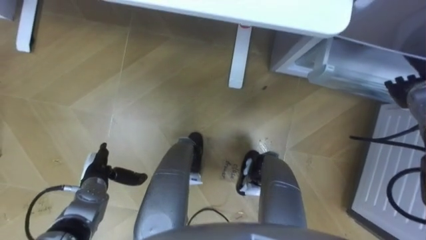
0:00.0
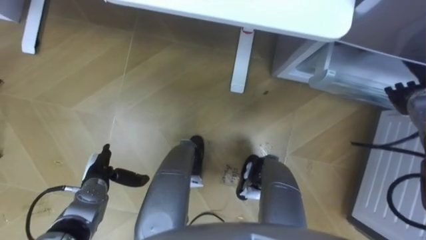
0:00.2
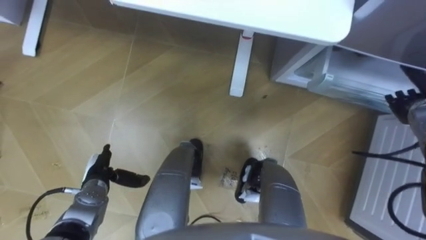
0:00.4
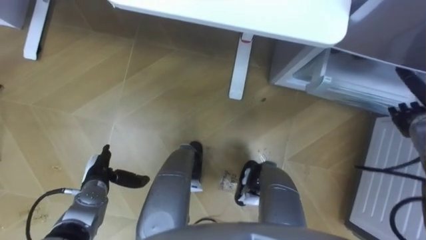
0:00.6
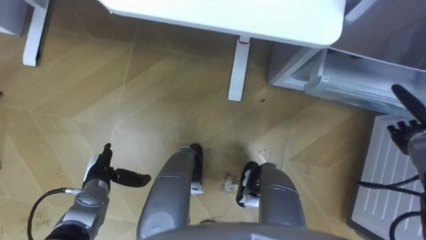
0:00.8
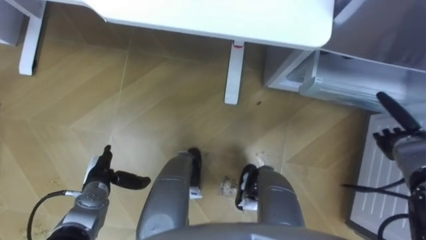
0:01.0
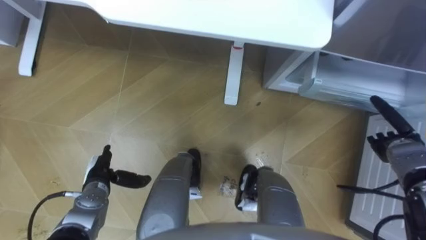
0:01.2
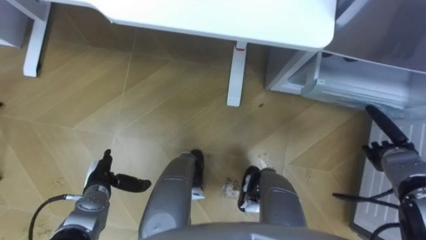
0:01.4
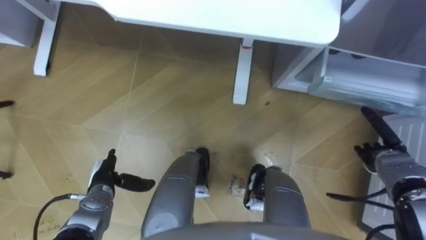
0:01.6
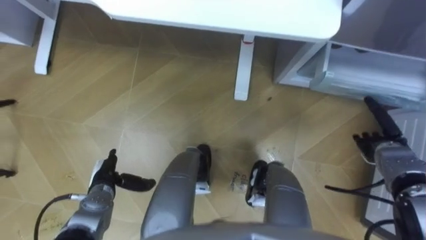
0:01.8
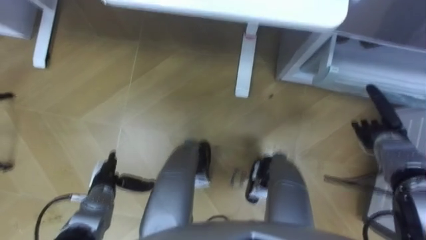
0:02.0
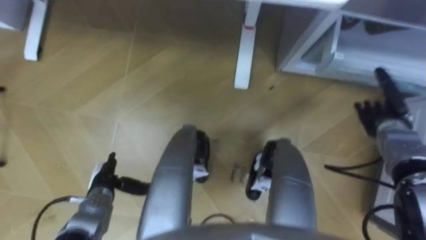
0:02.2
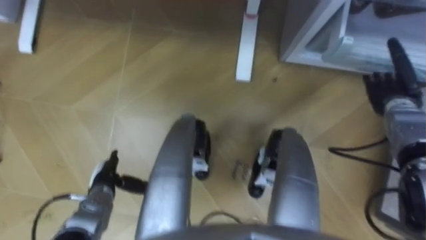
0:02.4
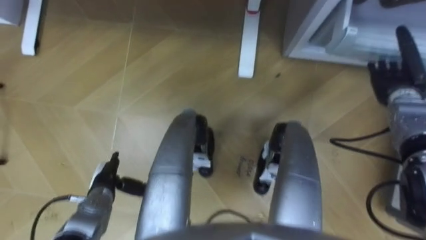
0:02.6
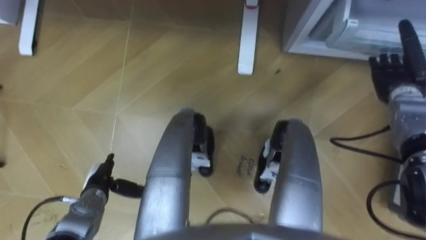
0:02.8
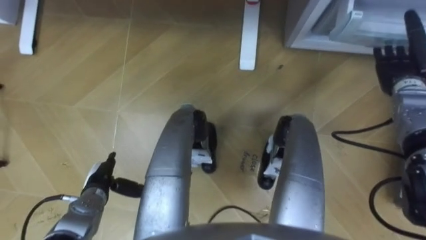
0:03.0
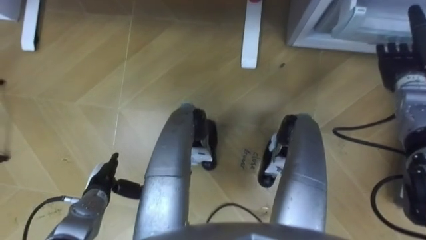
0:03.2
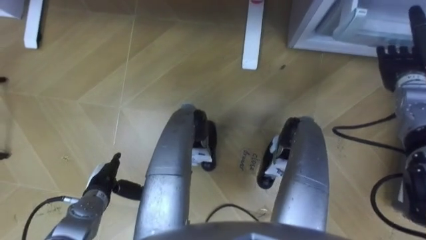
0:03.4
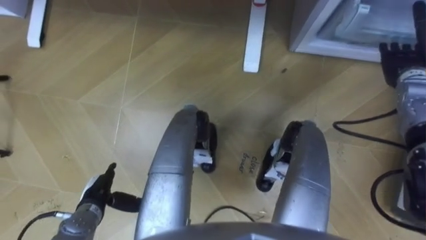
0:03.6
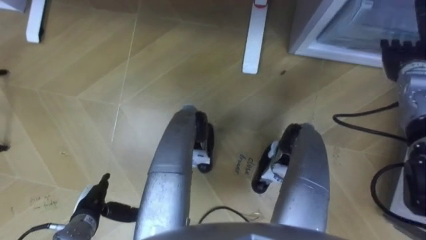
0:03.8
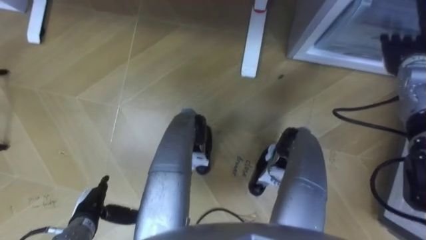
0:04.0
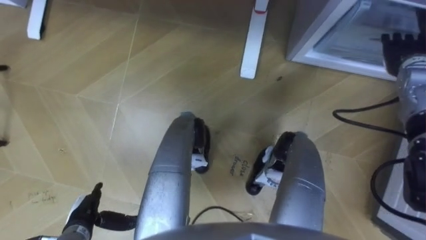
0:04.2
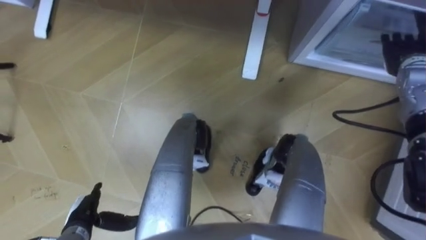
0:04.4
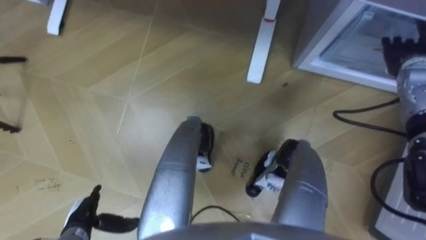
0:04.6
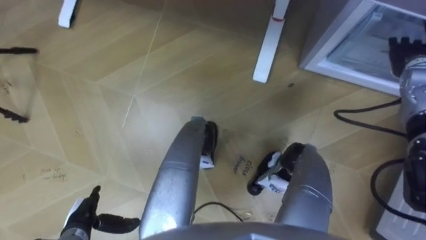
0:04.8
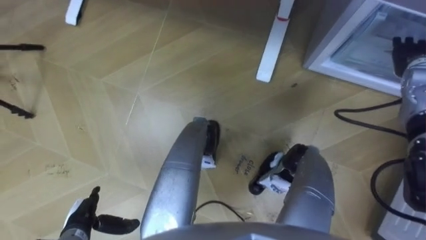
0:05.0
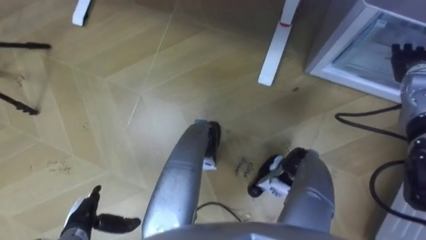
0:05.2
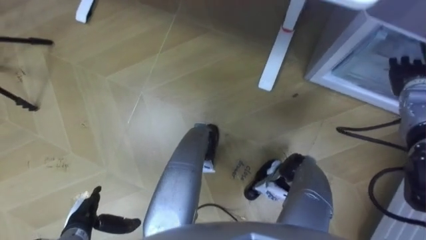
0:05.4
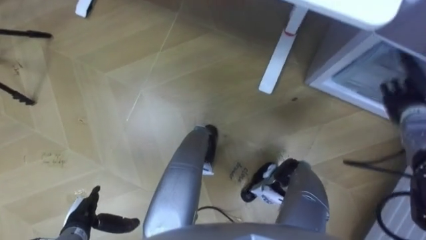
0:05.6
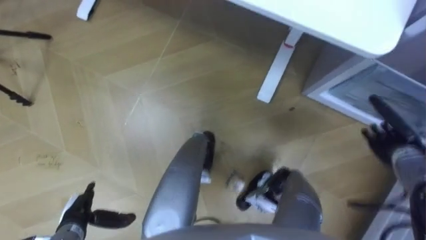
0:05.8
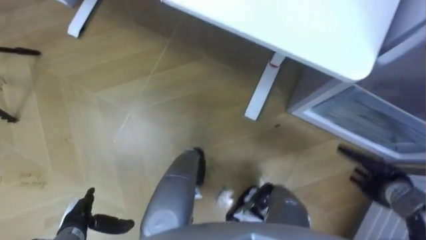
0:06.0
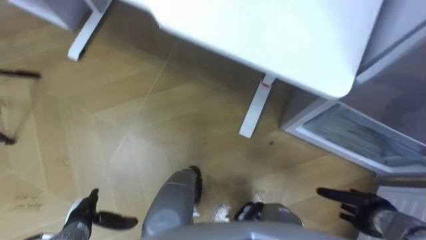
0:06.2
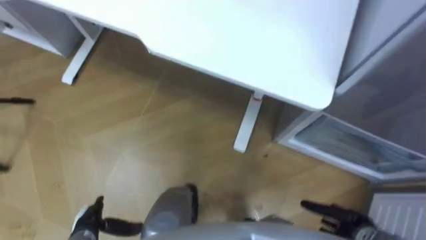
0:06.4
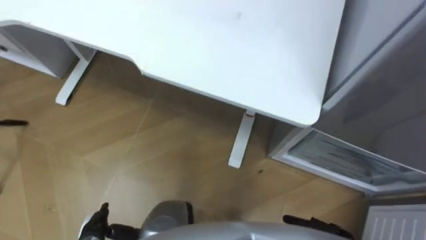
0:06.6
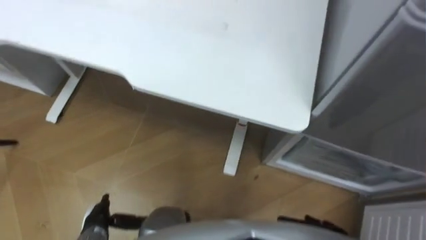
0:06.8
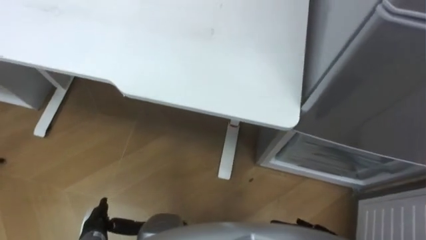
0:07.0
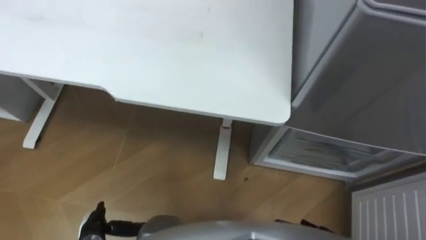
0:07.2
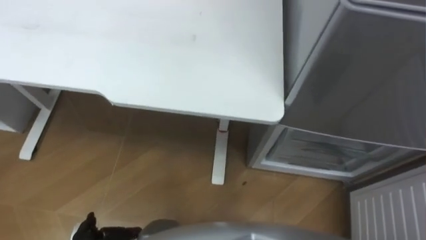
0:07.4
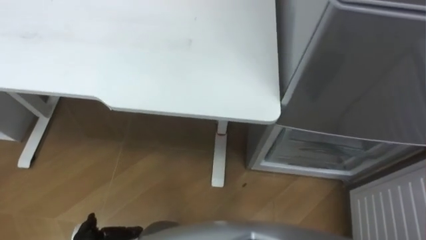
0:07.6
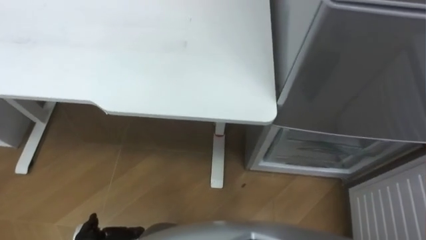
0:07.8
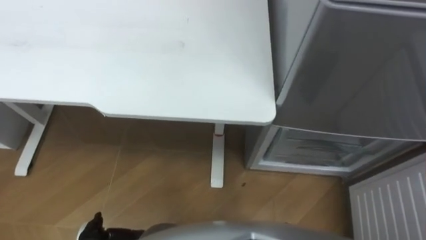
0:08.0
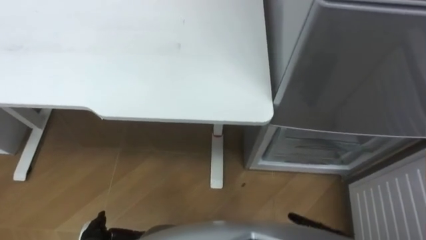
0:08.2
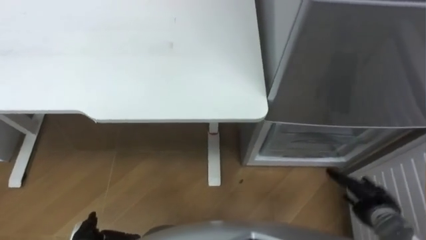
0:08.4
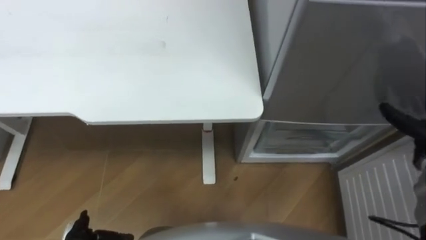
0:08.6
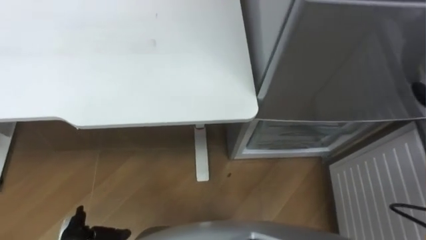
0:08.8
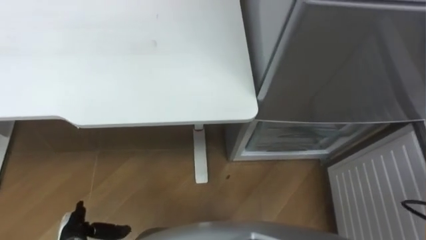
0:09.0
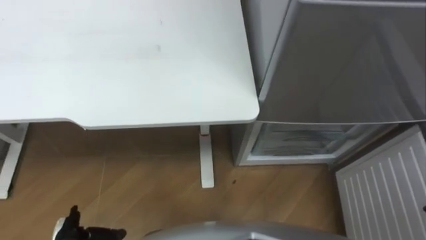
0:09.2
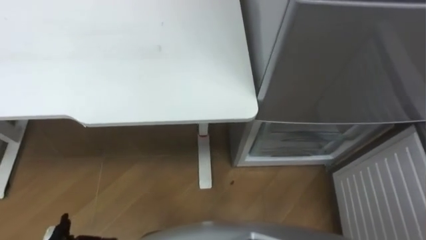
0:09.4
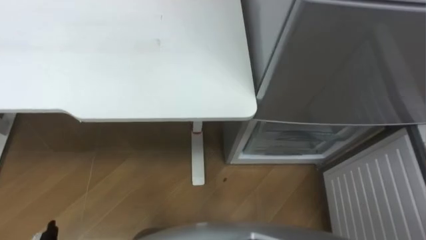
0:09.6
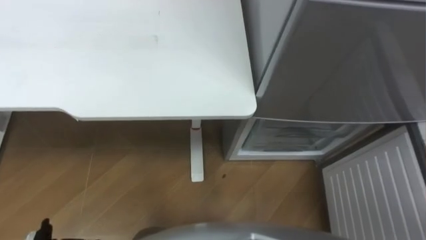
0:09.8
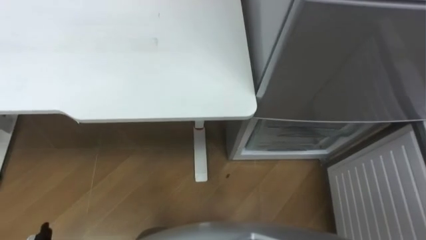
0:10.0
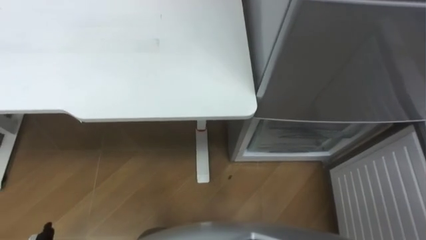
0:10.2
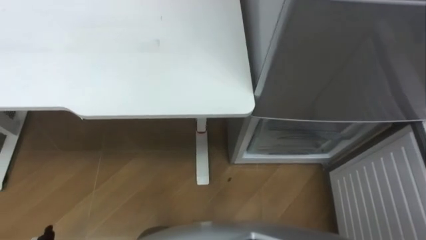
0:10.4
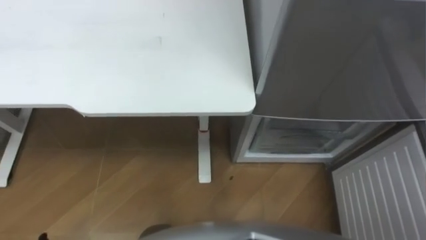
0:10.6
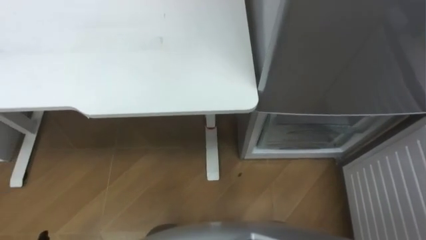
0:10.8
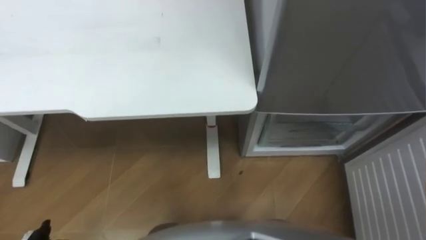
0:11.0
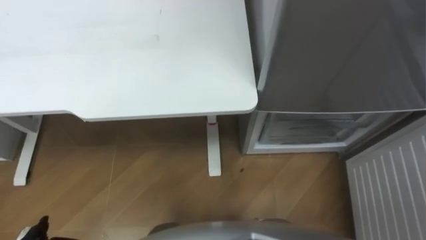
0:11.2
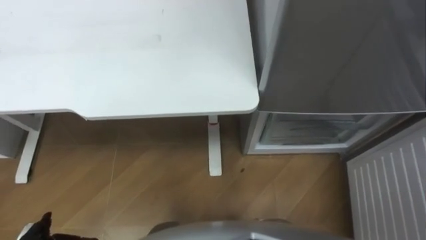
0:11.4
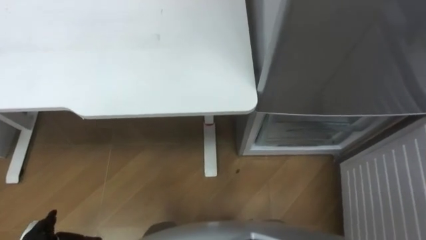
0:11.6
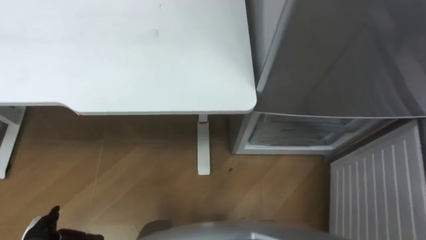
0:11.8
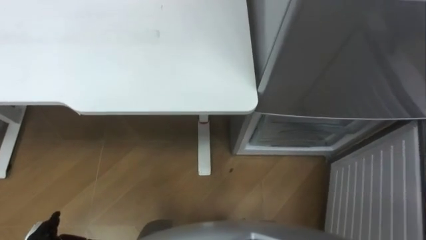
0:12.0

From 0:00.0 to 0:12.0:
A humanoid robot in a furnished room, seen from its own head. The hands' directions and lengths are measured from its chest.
Task of the whole recording: Place the drink on the table on the bottom shelf of the refrigerator, then close the drawer and the refrigerator door.
From 0:00.0 to 0:01.6: The right hand heads backward and downward, covering some 15 cm.
From 0:01.6 to 0:03.0: The right hand travels forward and upward by approximately 20 cm.
From 0:03.0 to 0:04.4: The left hand is displaced backward by roughly 10 cm.
From 0:04.4 to 0:06.0: The right hand travels backward and downward by some 25 cm.

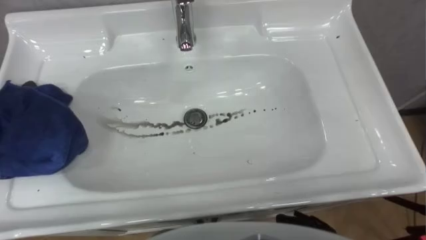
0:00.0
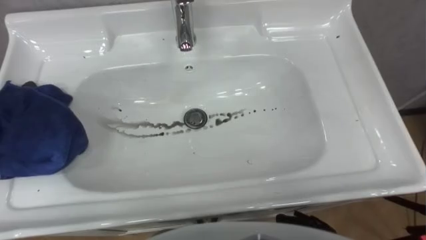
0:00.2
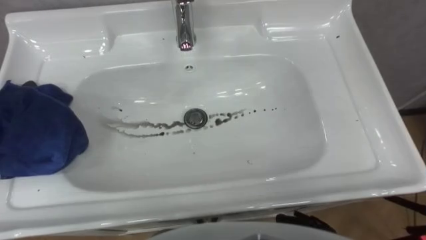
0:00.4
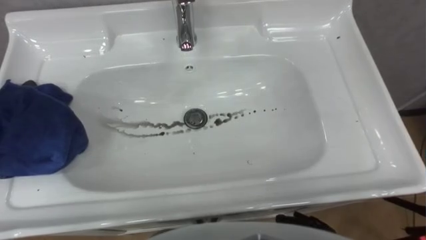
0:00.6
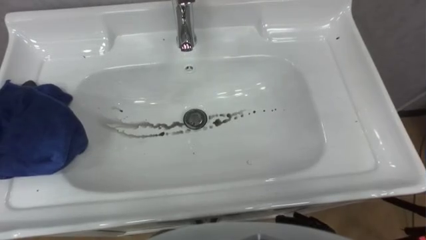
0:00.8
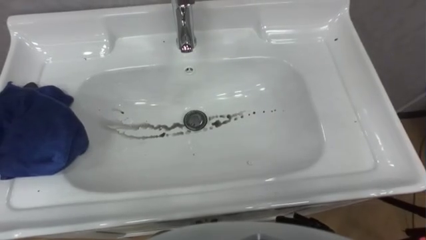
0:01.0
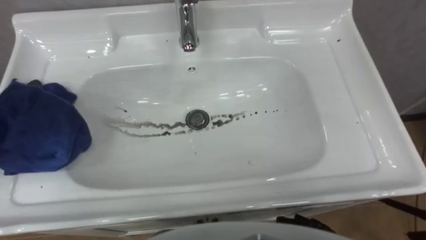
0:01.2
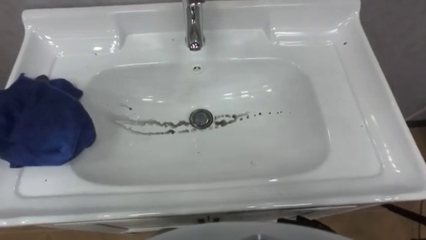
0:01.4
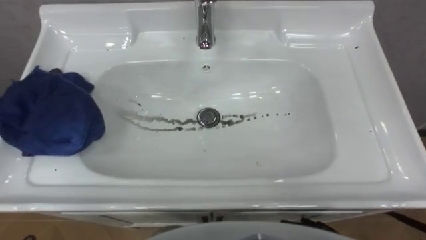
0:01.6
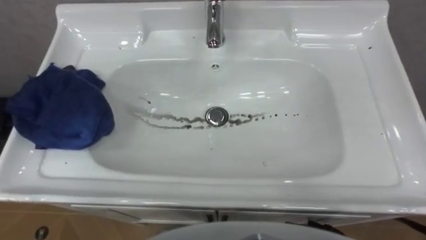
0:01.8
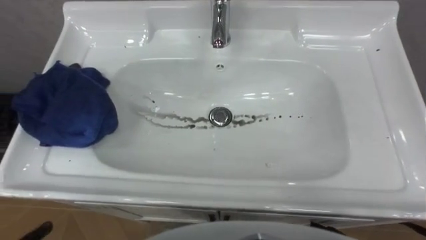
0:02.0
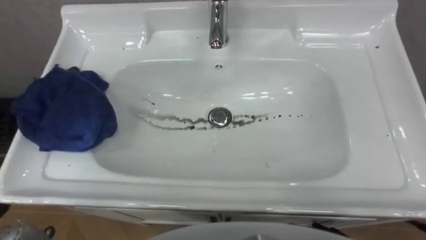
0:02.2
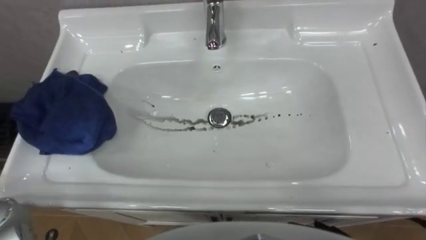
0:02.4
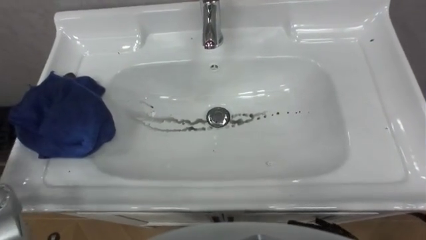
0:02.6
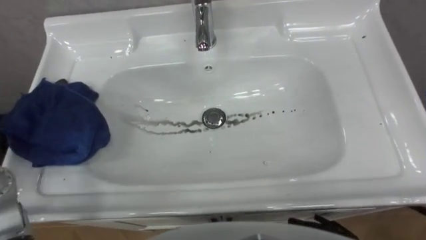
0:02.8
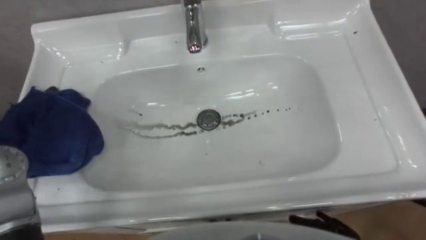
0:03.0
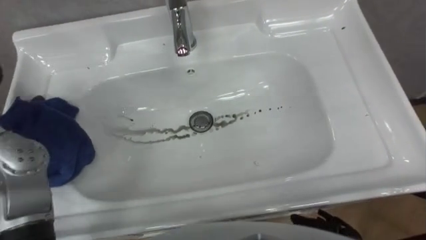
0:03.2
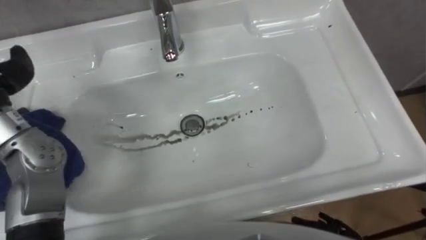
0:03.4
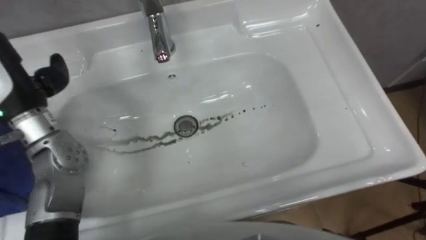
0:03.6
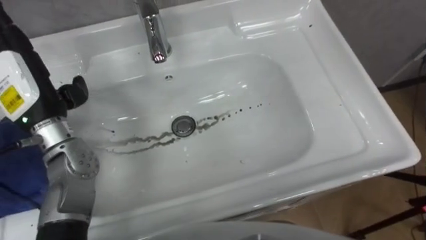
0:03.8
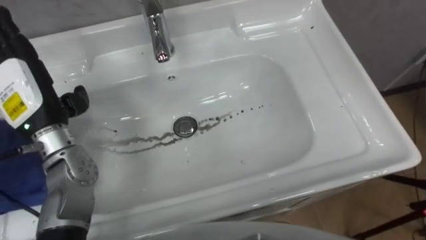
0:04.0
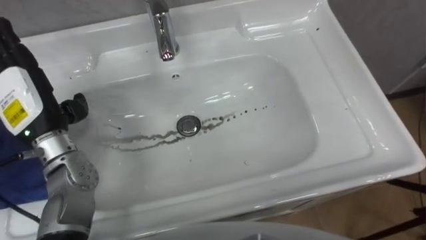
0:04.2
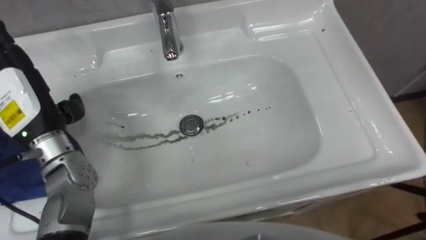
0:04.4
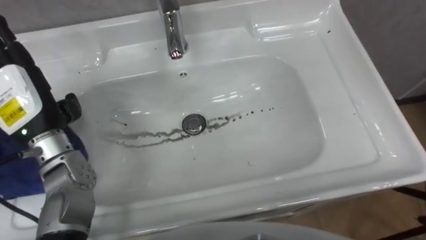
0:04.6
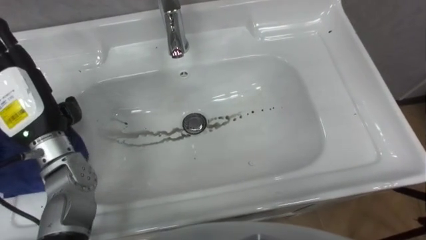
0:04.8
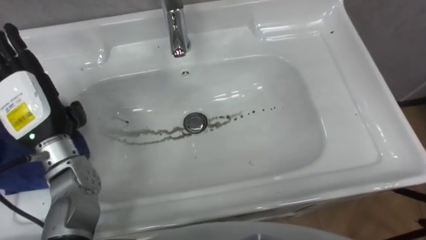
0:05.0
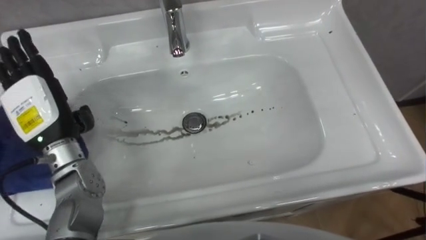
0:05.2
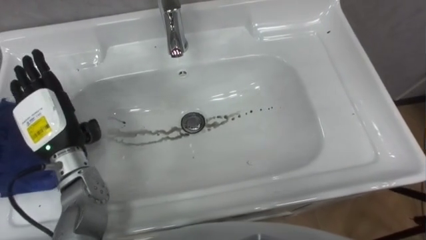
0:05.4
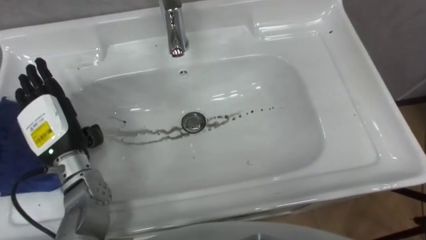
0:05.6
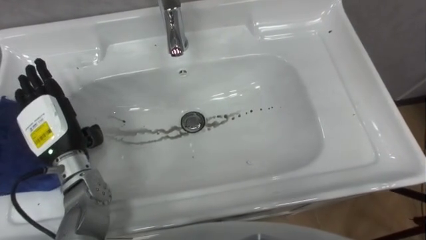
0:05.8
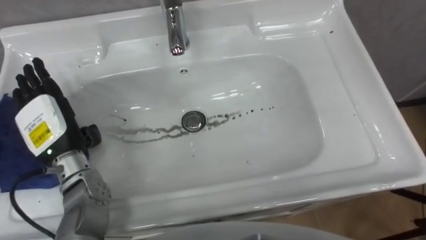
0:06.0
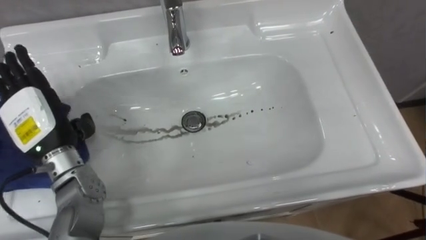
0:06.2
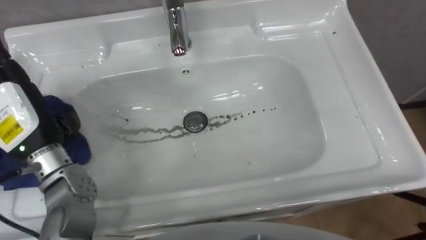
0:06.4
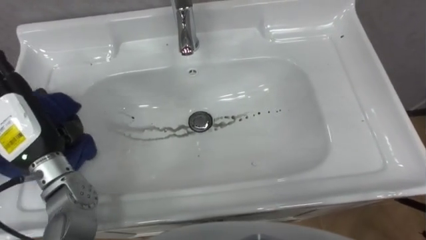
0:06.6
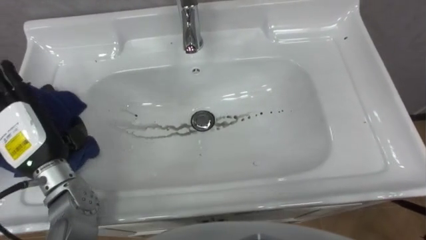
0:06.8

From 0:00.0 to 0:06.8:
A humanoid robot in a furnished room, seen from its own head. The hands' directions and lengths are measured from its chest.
Task of the whole recording: Use the cloth on the right to wipe away the black stain in the sink.
From 0:04.0 to 0:05.4: The left hand travels downward by some 5 cm.
